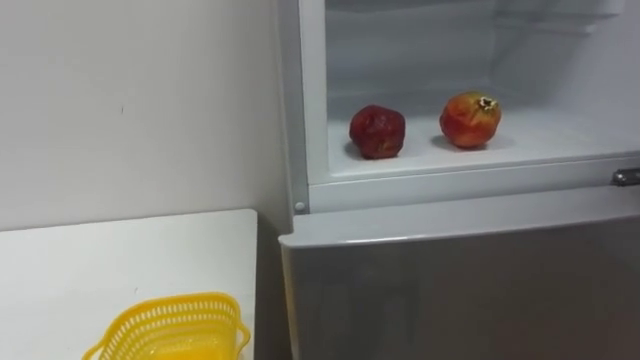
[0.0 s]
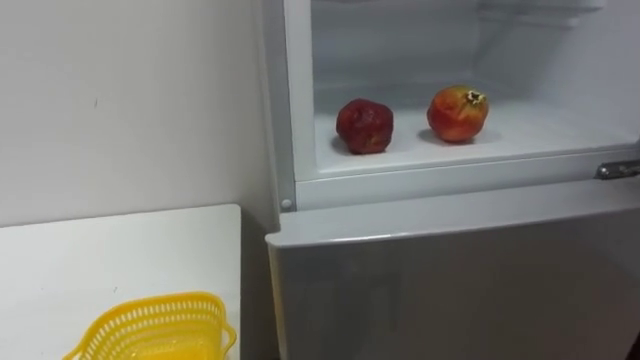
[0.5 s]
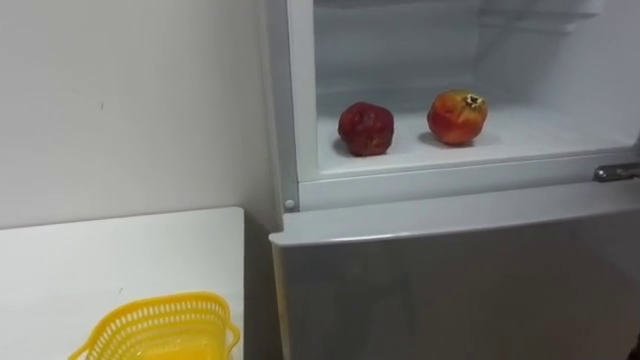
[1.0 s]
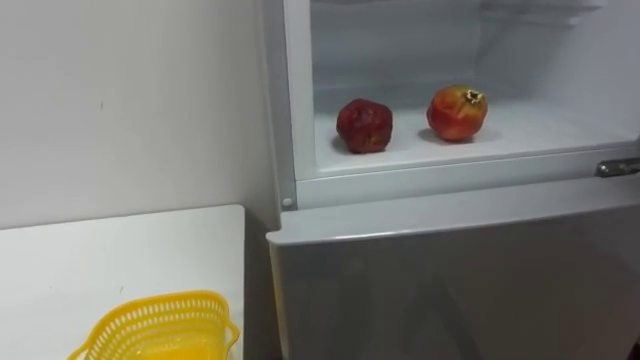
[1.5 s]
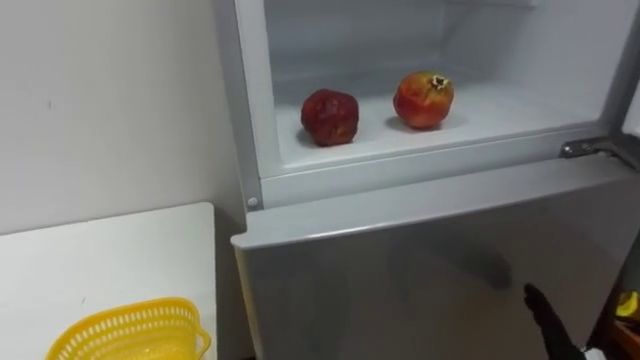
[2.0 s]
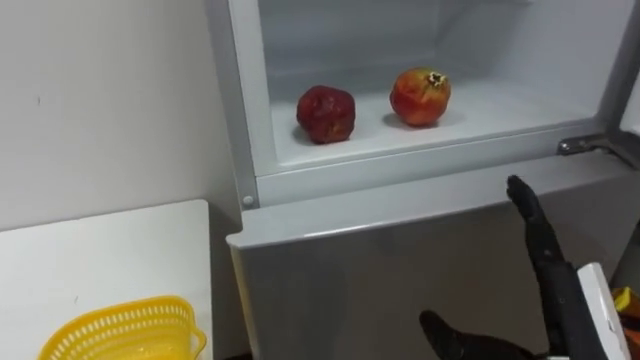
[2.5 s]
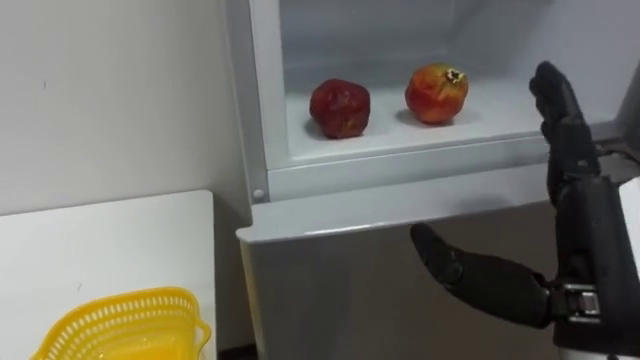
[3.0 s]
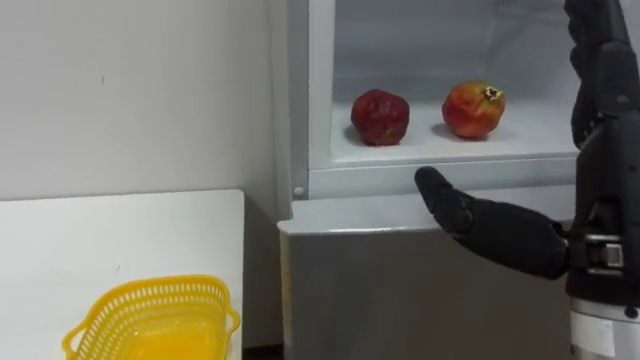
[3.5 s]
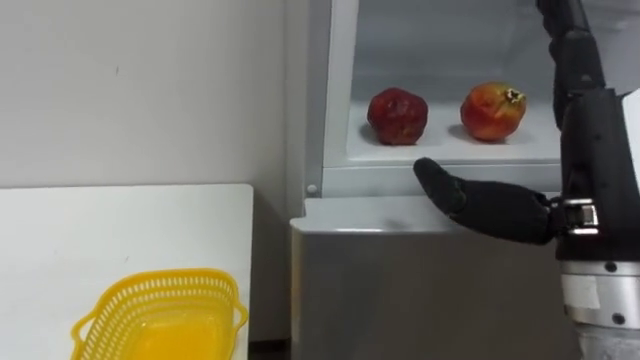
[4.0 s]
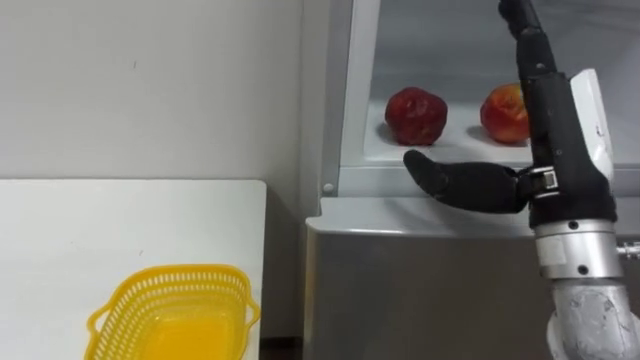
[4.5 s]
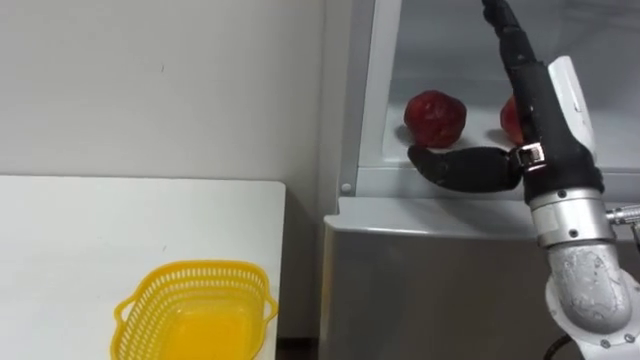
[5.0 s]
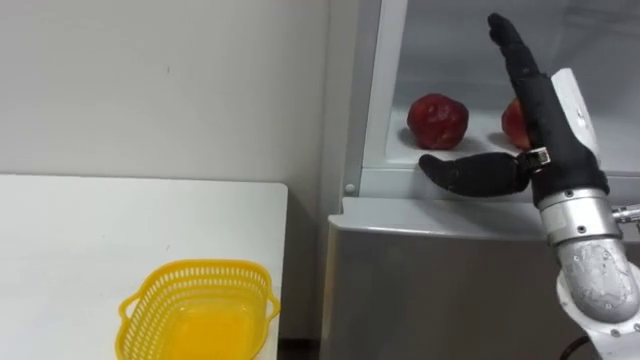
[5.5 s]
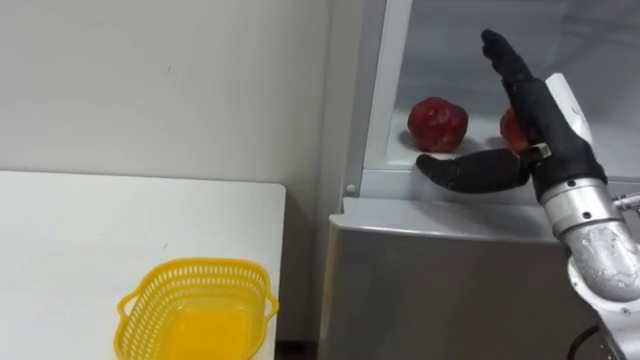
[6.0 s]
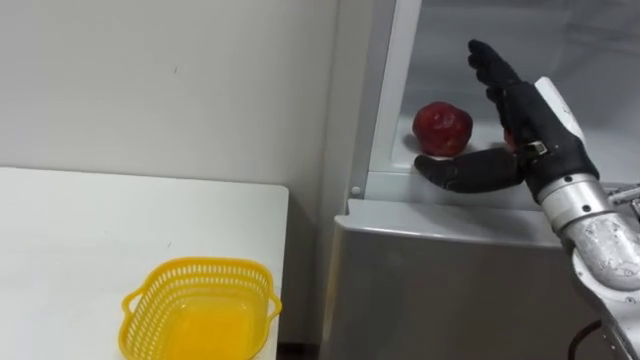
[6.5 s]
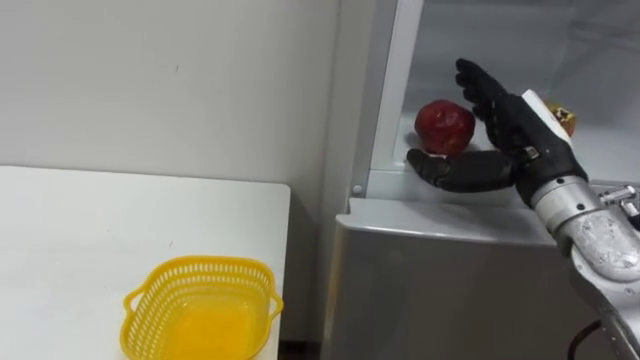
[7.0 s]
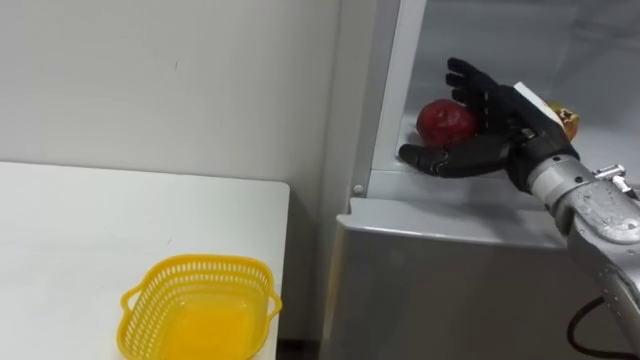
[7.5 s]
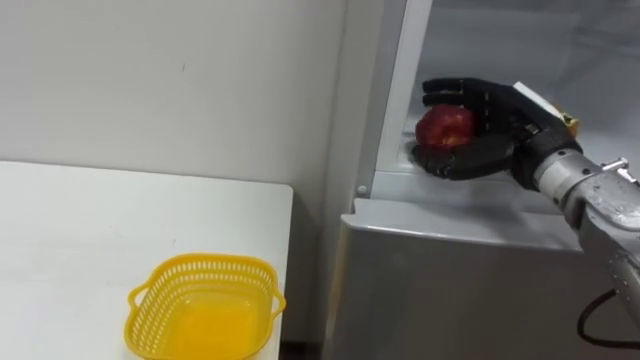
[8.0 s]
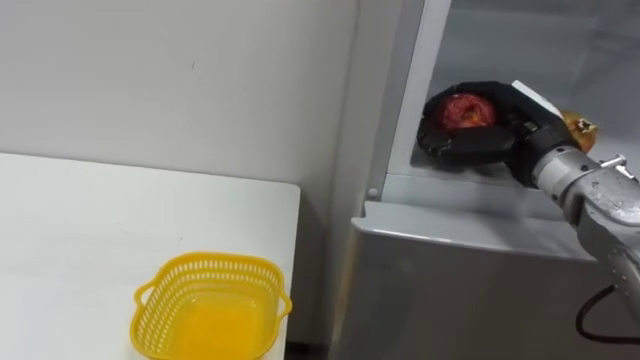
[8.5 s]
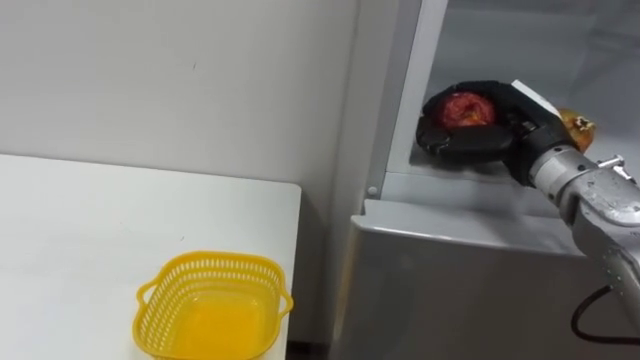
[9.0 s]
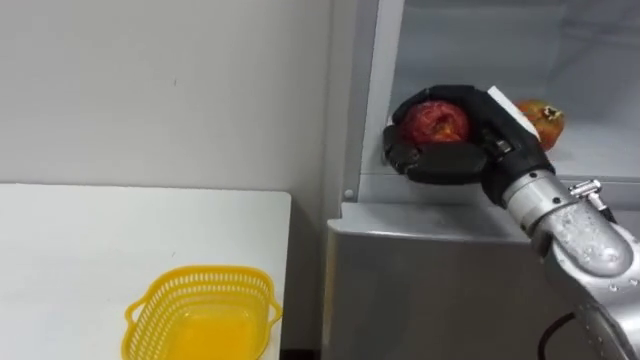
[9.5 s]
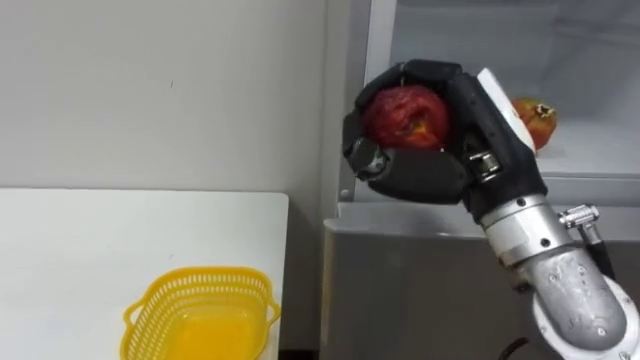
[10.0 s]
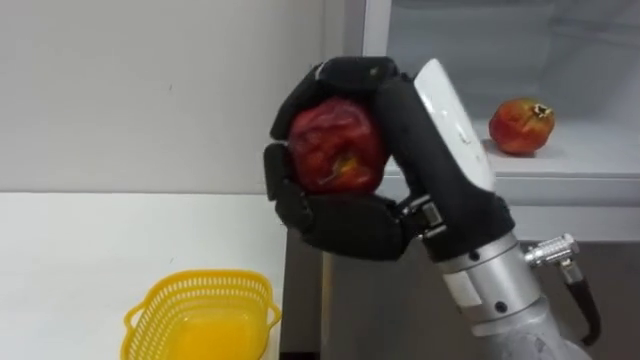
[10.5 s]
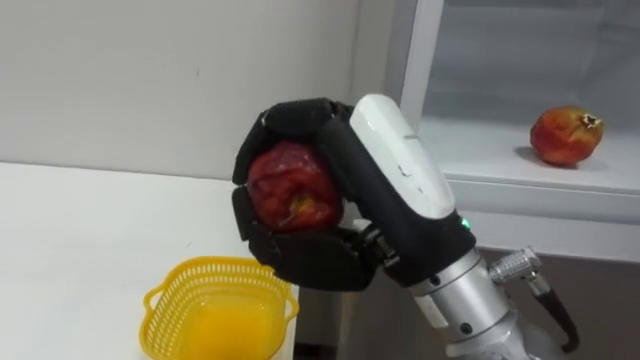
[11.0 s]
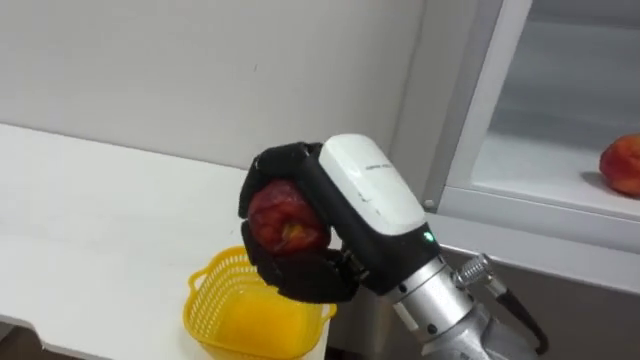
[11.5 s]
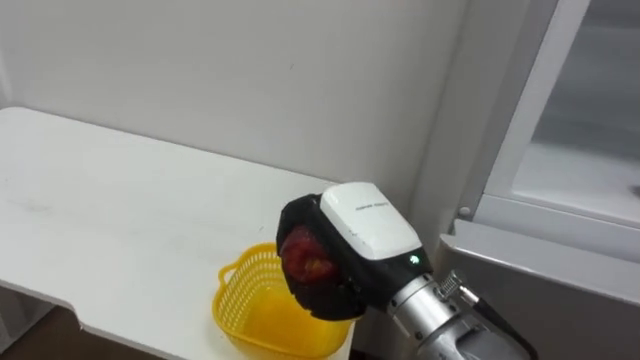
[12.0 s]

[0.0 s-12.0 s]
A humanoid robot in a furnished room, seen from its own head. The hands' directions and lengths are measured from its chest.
Task of the whole recording: Open the refrigerator door, take out the apple and the pomegranate, place them in the fruit basket on the left, and close the refrigerator door.
4.0 to 6.0 s: The right hand moves forward, approximately 10 cm.
6.0 to 8.0 s: The right hand shifts by about 5 cm.
8.0 to 10.0 s: The right hand travels backward and to the left by about 10 cm, and closes.
10.0 to 12.0 s: The right hand is displaced to the left and downward by approximately 15 cm.

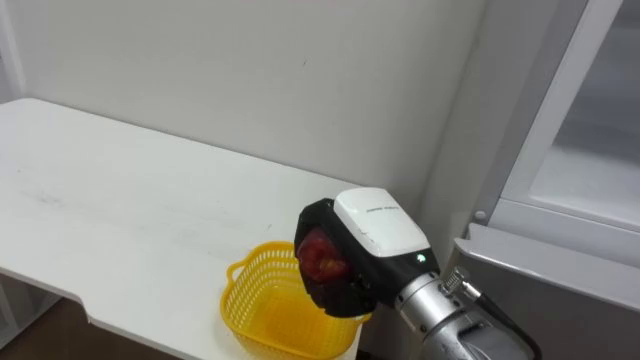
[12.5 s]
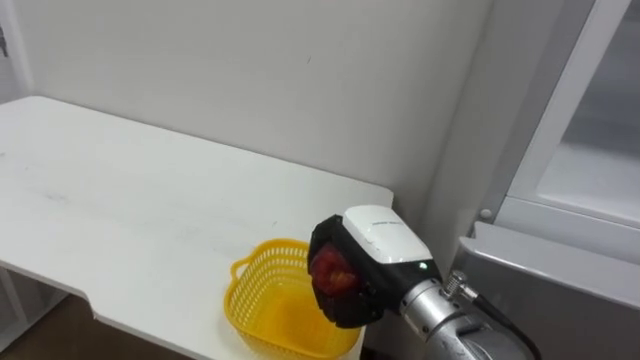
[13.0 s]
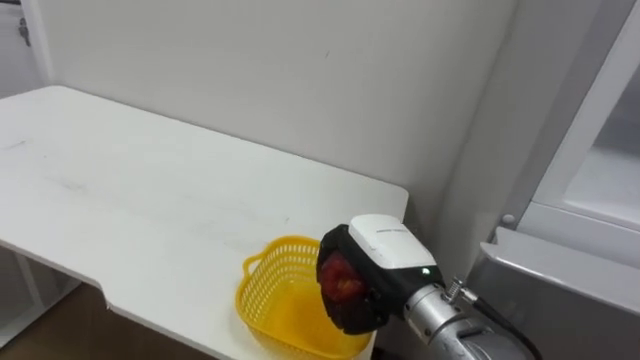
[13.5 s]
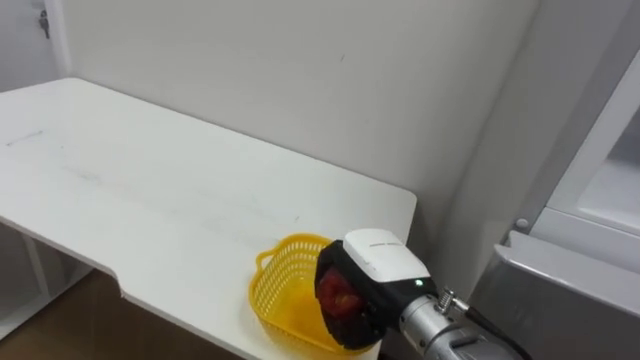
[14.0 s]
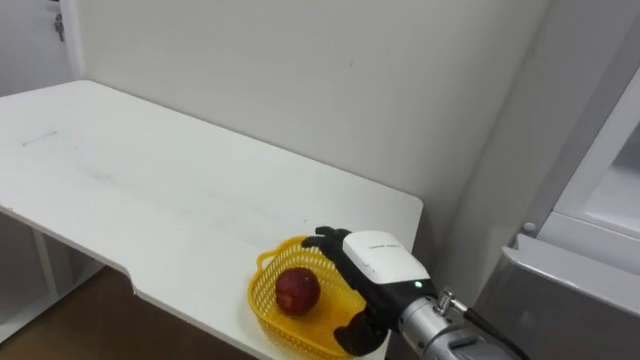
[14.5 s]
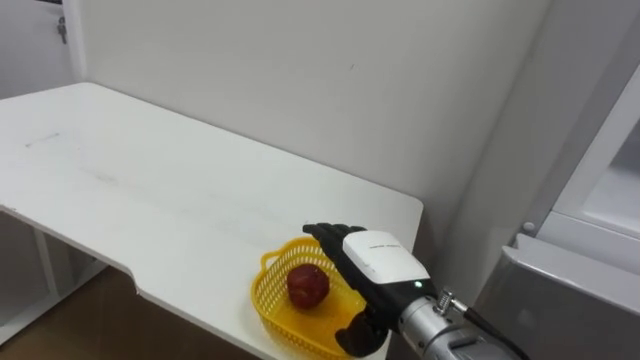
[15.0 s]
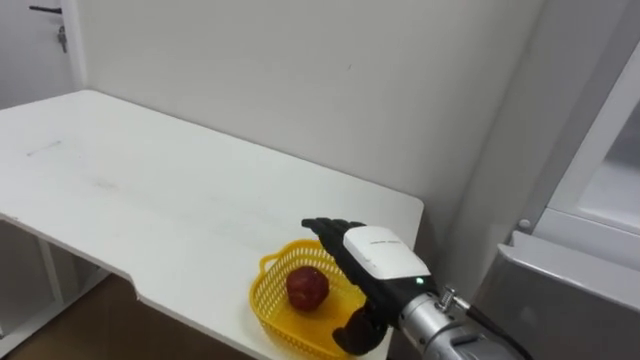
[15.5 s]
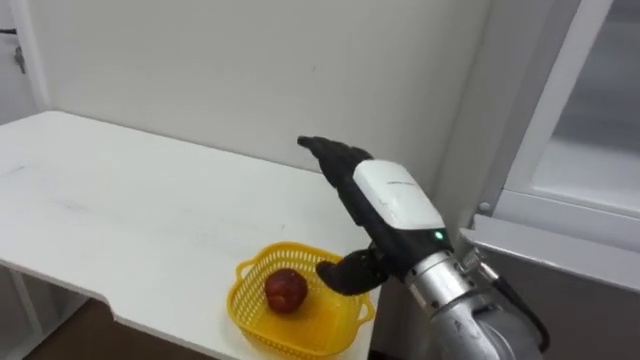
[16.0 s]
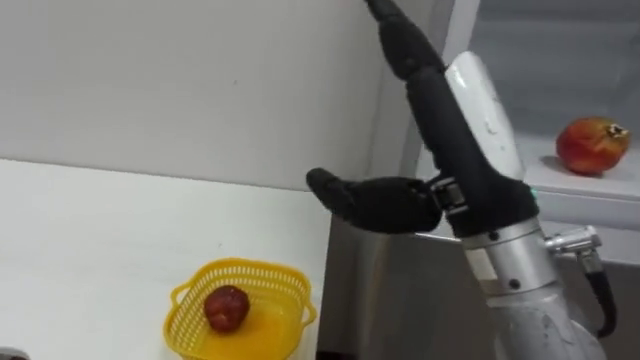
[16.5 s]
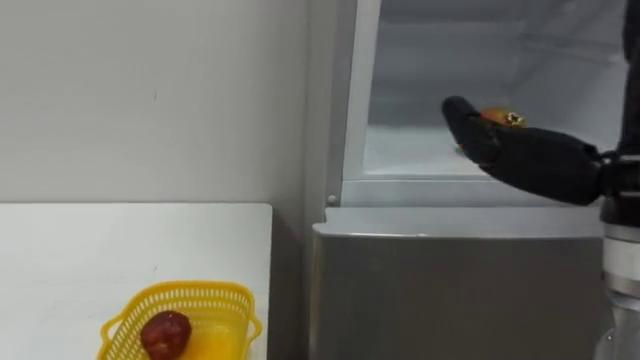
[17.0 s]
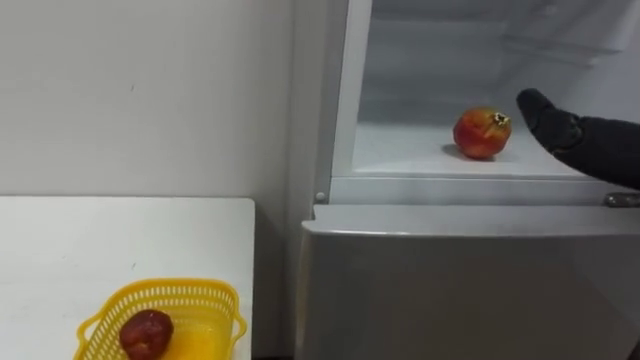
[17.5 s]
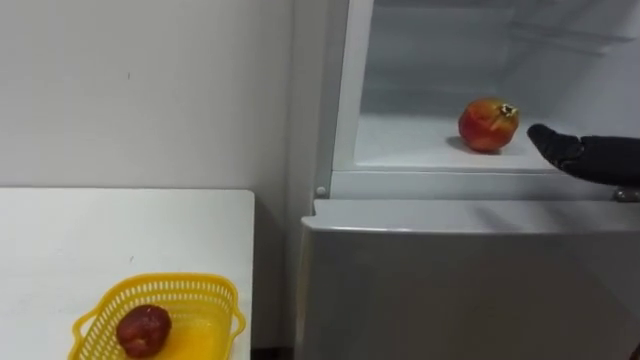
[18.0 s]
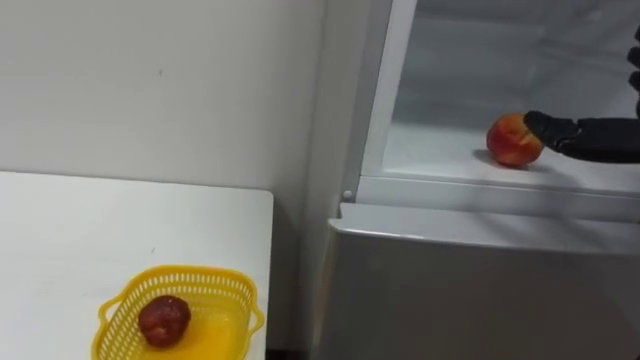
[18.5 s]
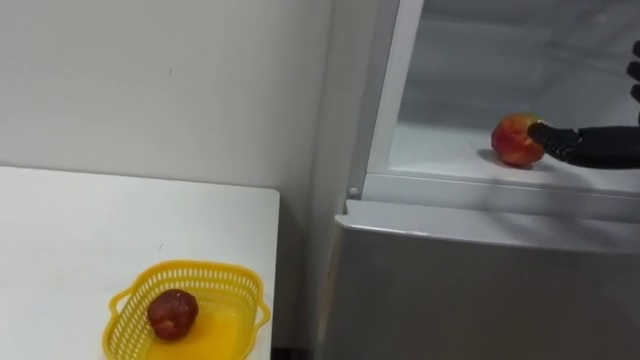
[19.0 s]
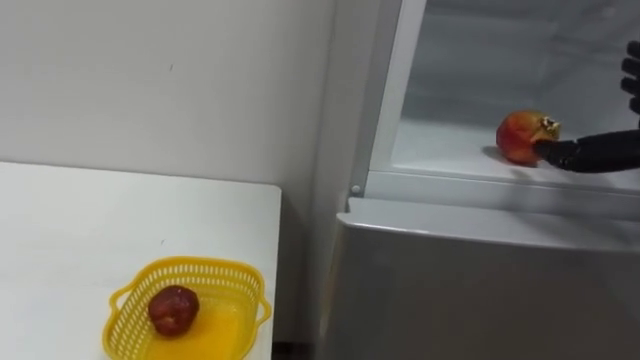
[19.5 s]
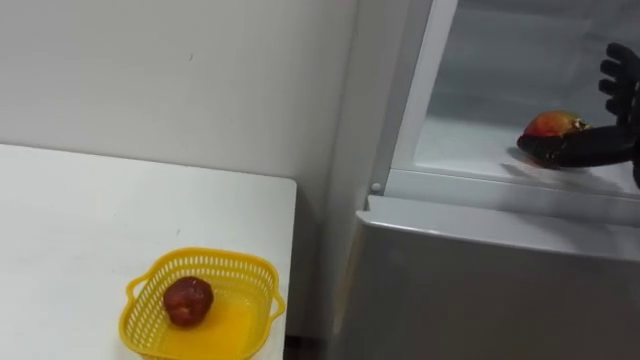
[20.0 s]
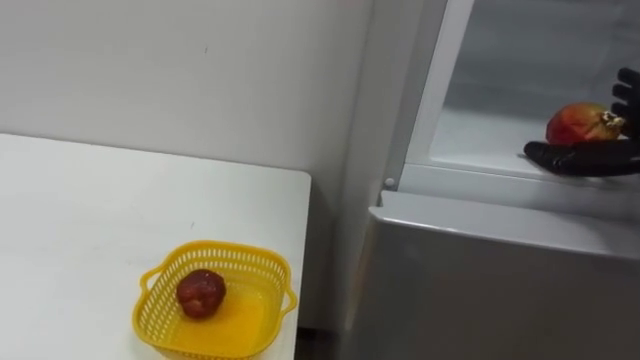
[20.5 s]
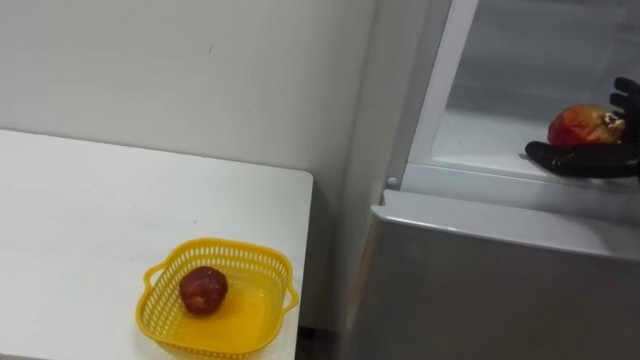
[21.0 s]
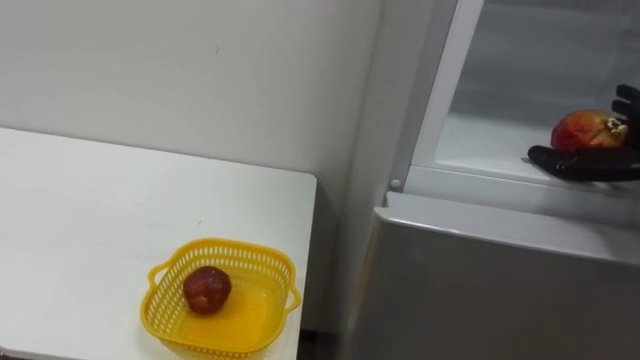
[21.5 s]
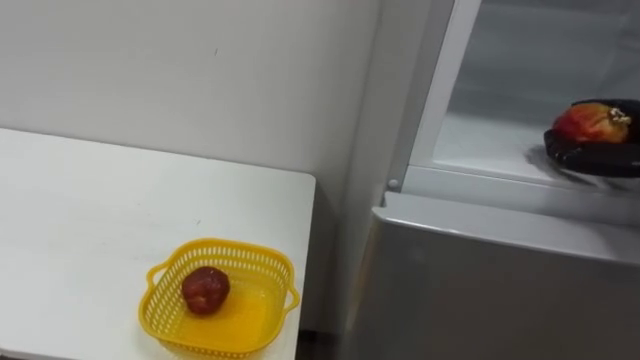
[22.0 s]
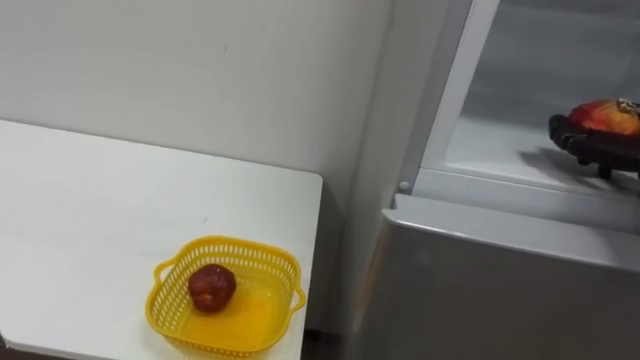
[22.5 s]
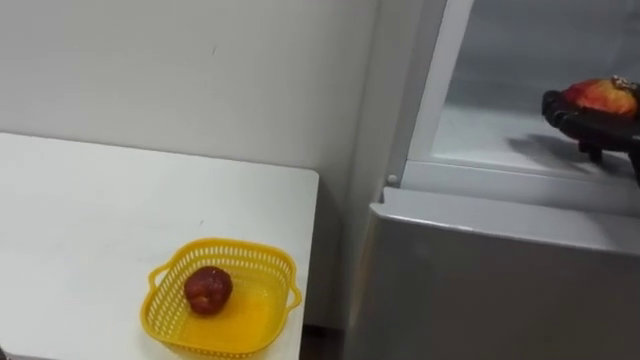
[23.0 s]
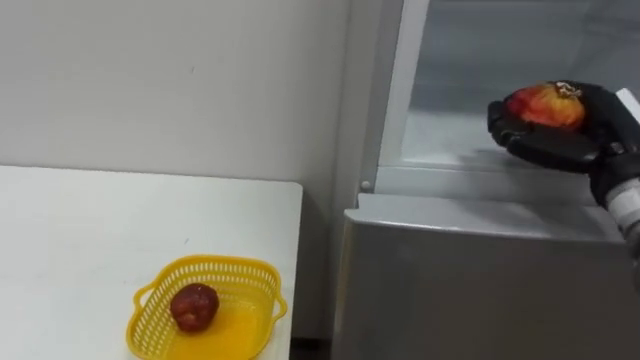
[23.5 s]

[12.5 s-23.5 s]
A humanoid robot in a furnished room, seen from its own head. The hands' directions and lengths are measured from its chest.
Task of the whole recording: Open the refrigerator door, take out the apple and the pomegranate, place them in the fruit basket on the left, and close the refrigerator door.
12.5 to 14.5 s: The right hand heads downward, covering approximately 5 cm, and opens its fingers.
14.5 to 16.0 s: The right hand heads upward, covering roughly 10 cm.
